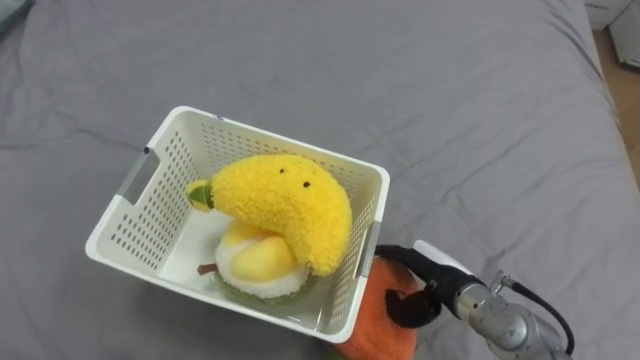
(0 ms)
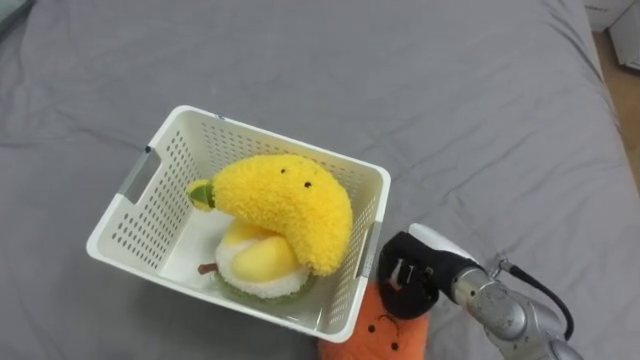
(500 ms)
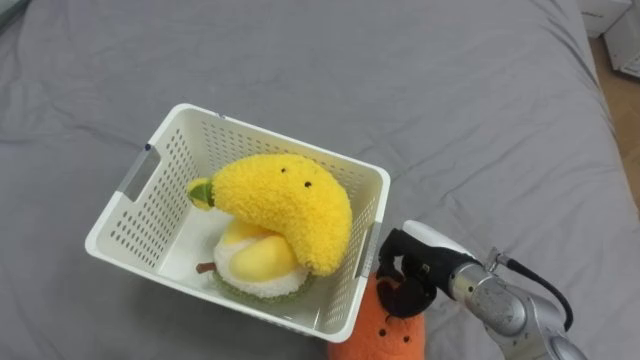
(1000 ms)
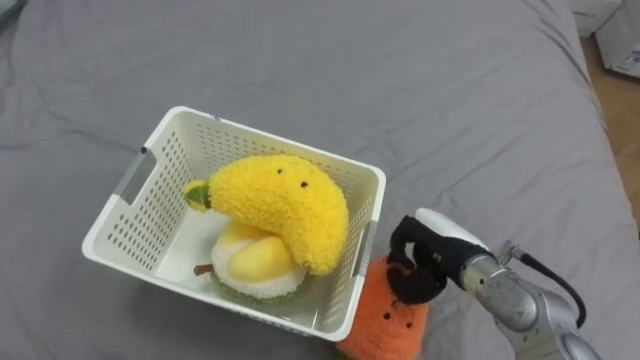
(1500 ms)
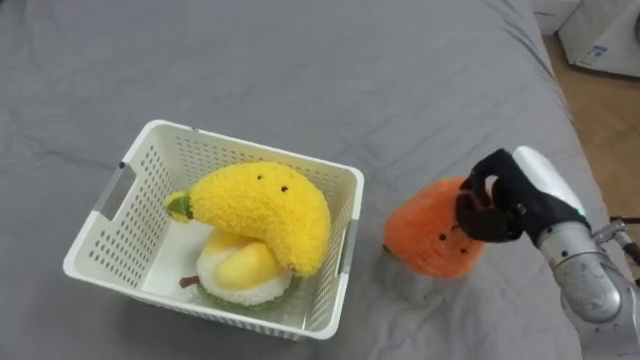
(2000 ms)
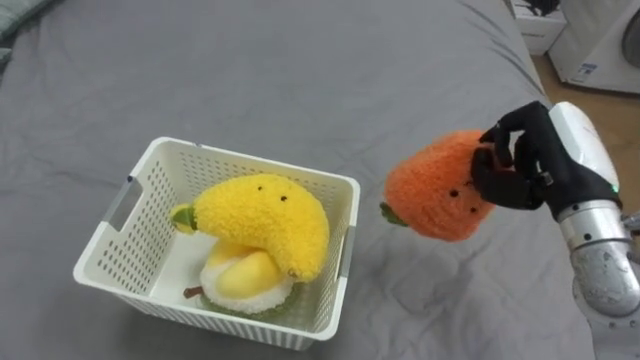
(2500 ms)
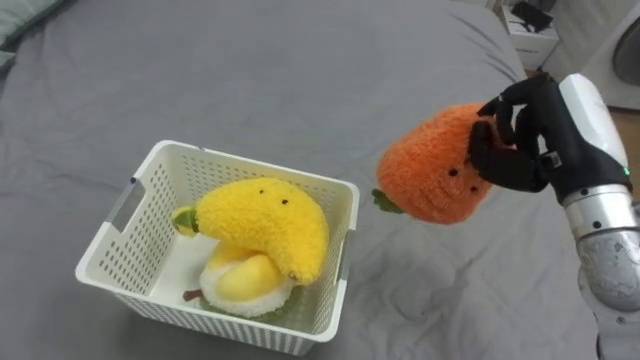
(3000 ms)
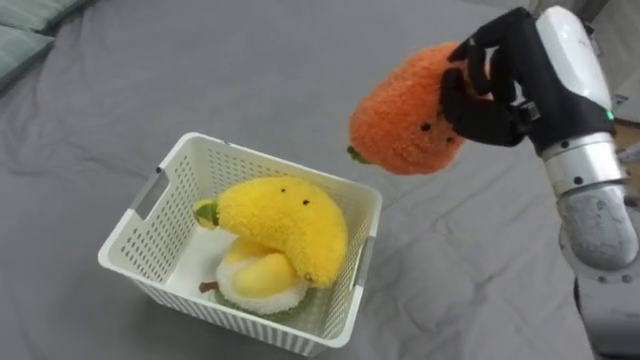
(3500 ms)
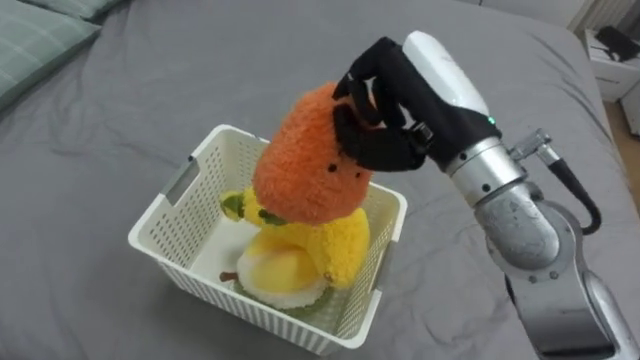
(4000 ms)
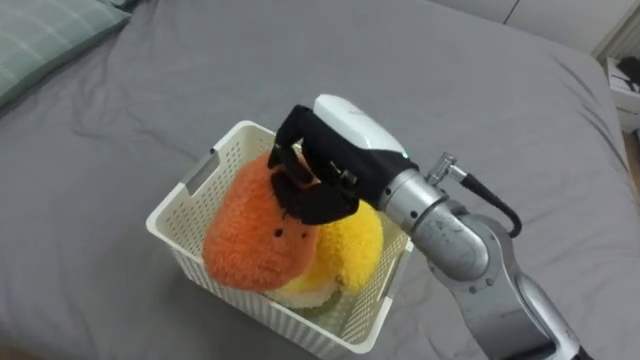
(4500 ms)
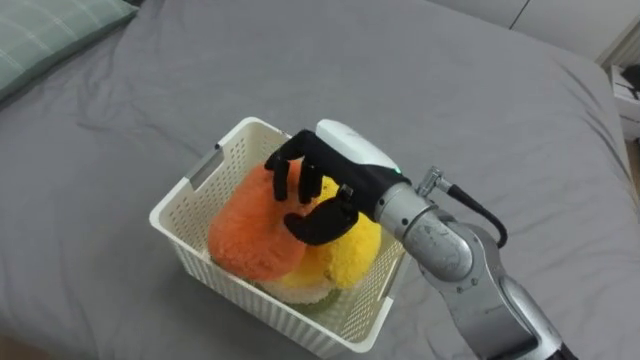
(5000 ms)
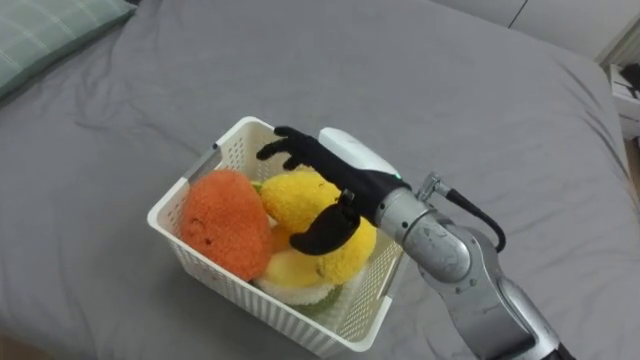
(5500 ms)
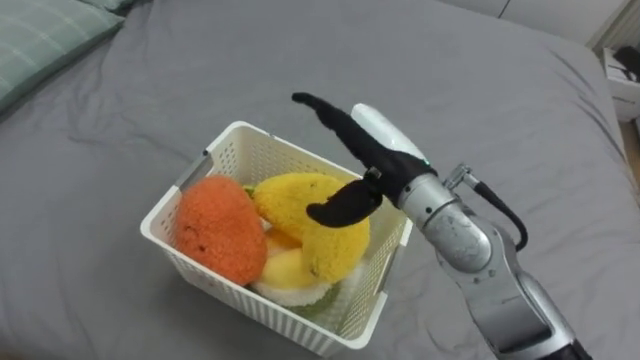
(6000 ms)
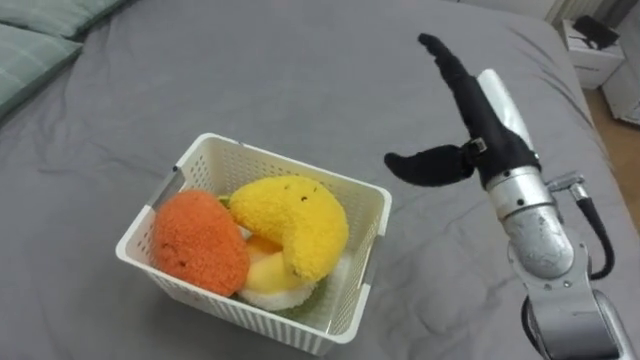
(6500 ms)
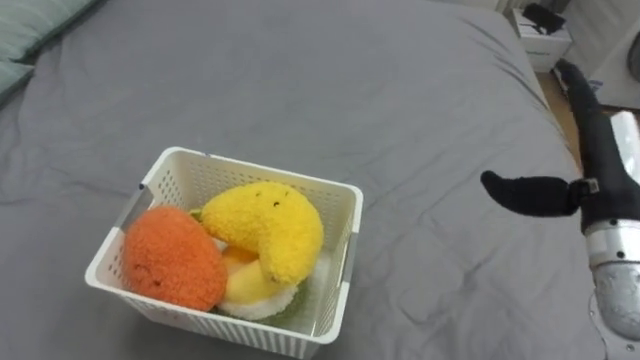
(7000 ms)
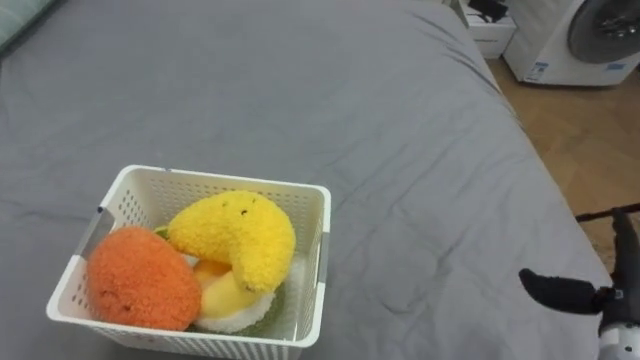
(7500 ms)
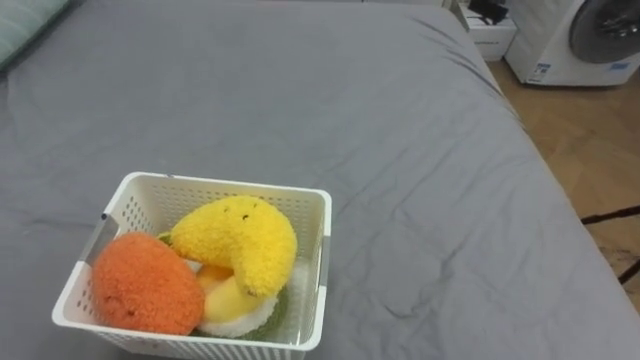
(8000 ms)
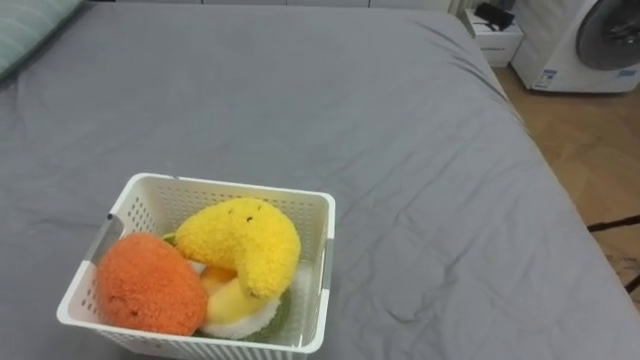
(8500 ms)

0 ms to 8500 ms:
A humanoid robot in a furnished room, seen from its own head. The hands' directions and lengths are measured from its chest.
Task of the whole recording: Put the toys on the bed into the basket on the left.
0 ms to 2000 ms: The right hand moves upward and to the right, some 15 cm, and closes its fingers.
2000 ms to 4000 ms: The right hand shifts about 20 cm to the left and upward.
4000 ms to 6500 ms: The right hand travels to the right and downward by about 10 cm, and opens.

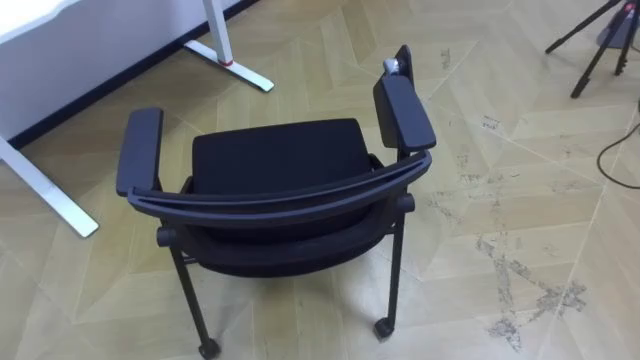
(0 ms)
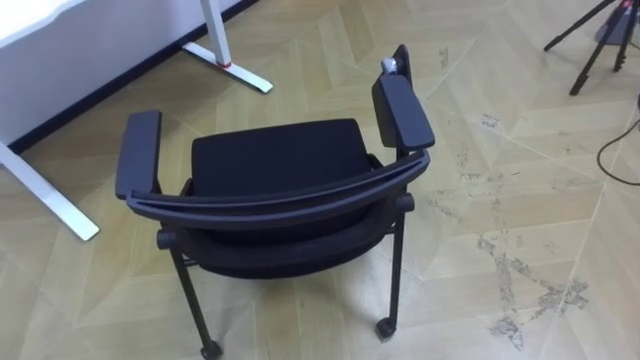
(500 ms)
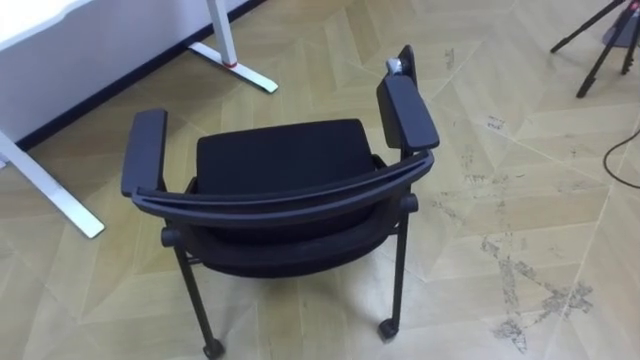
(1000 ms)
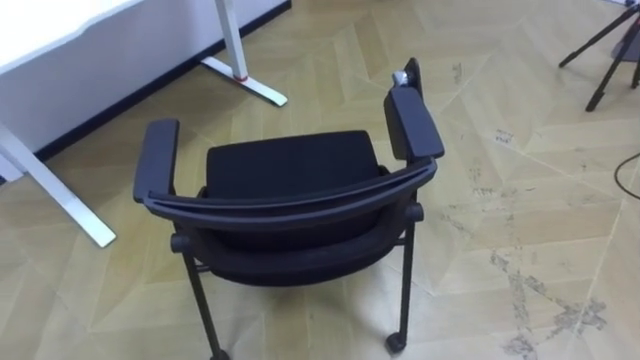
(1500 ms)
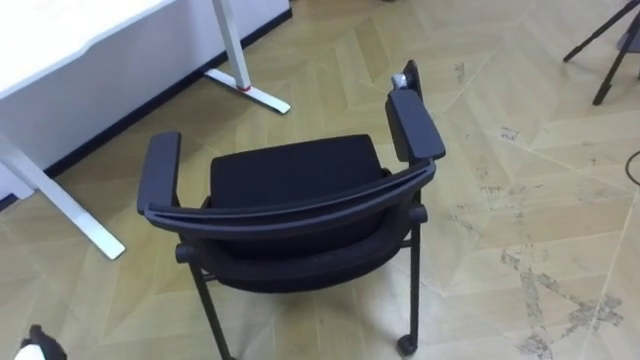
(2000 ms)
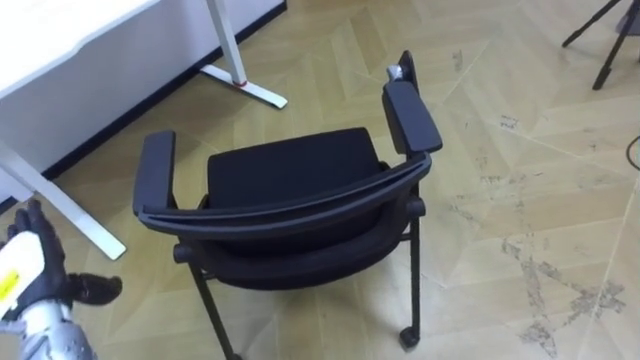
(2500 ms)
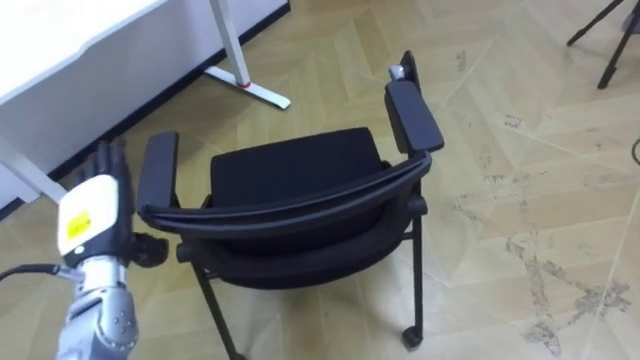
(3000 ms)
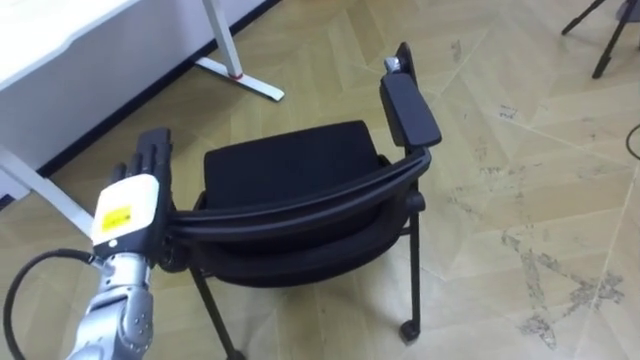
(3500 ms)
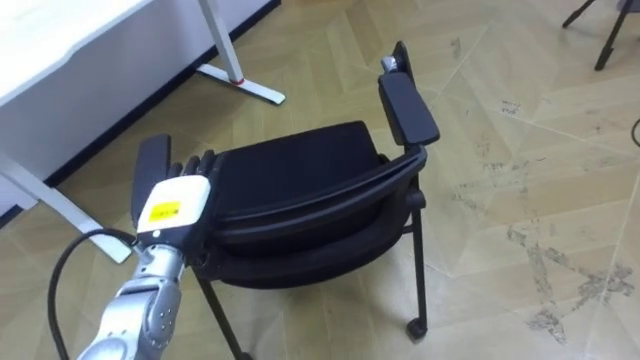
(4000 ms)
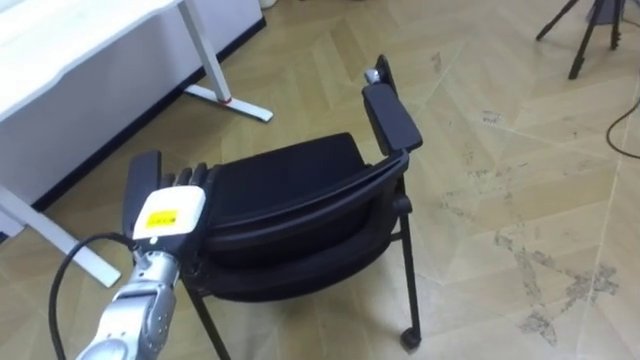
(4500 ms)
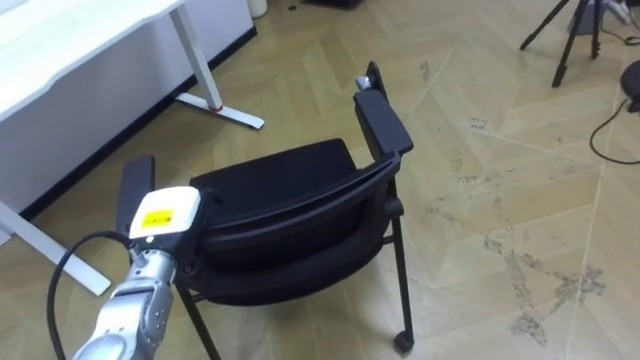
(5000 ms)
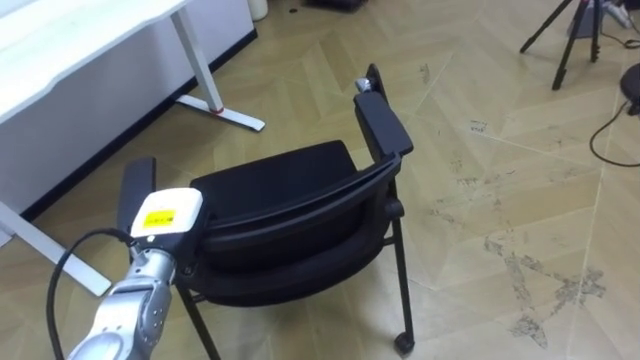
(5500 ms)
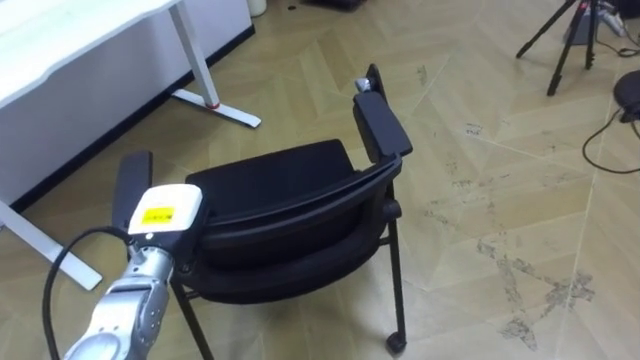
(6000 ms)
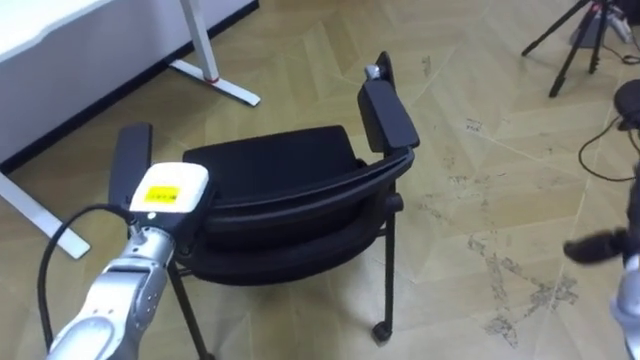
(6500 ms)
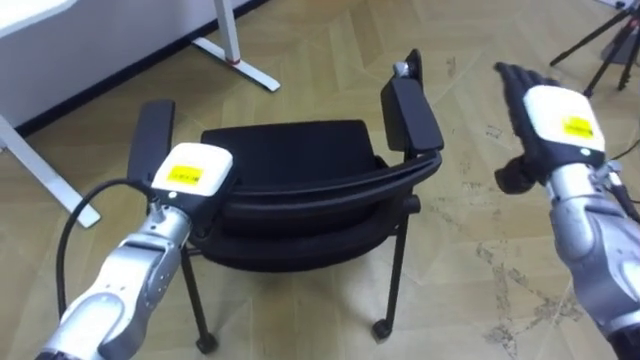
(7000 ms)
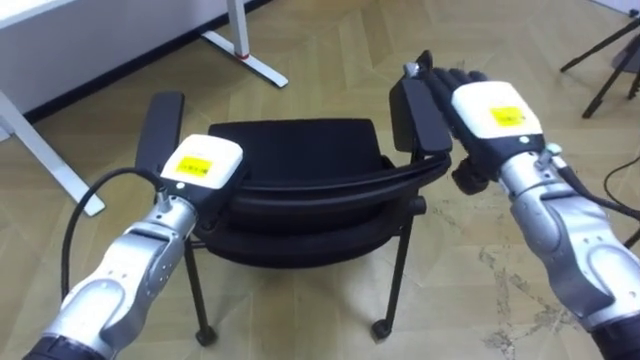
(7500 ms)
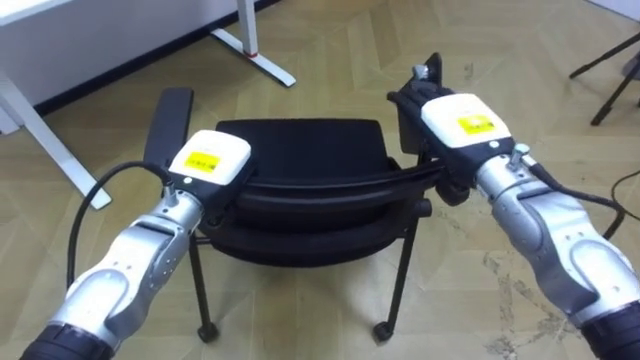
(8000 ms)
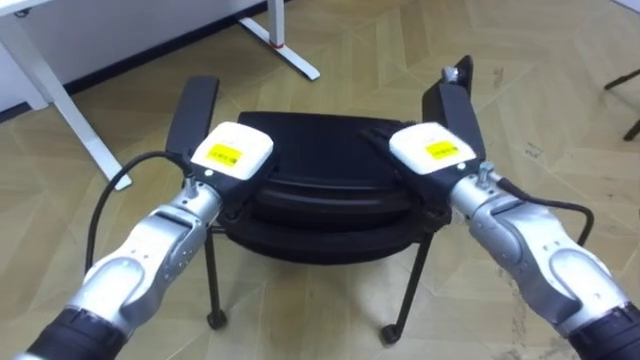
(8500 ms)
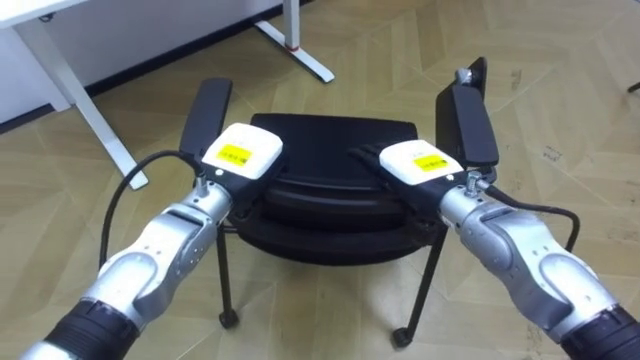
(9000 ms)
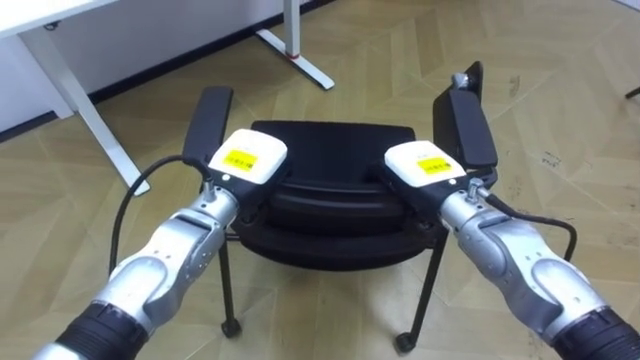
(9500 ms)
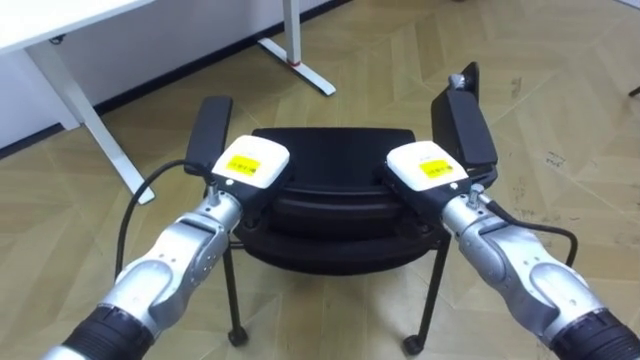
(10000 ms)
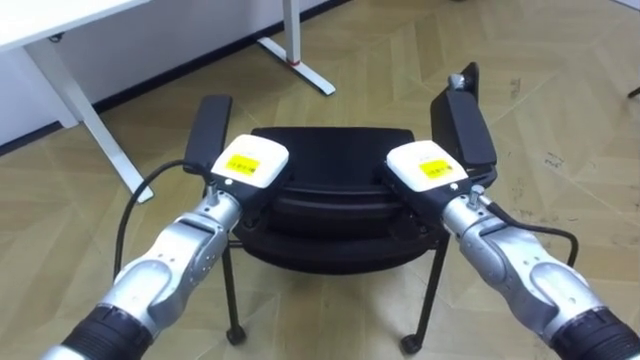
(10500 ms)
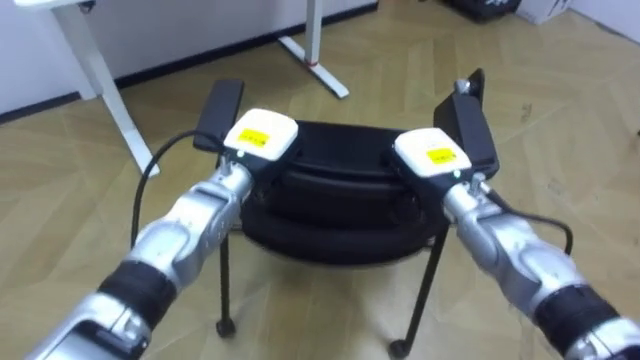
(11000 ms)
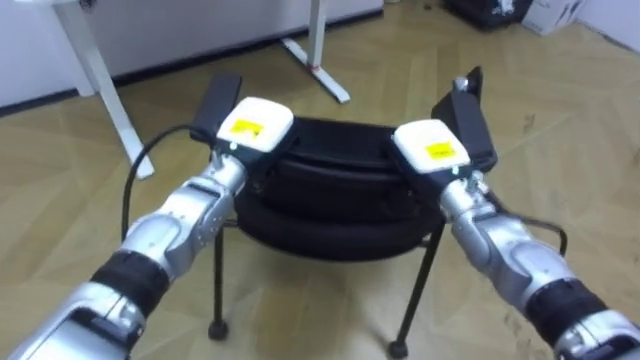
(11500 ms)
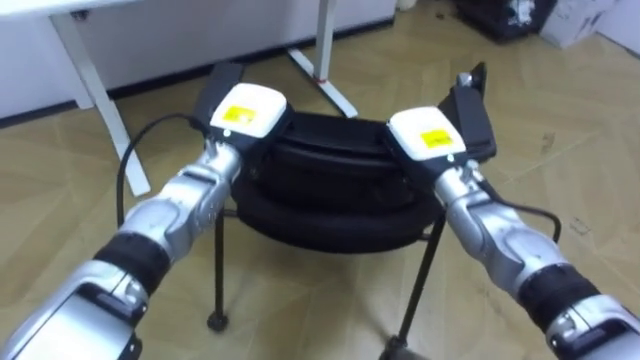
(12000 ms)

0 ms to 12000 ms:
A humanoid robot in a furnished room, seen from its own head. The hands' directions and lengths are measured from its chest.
Task of the whole recording: Push the chair under the table.
4000 ms to 6000 ms: The left hand closes.
6000 ms to 8000 ms: The left hand is displaced upward and to the right by some 10 cm.
8000 ms to 10000 ms: The right hand moves downward, about 5 cm, and closes its fingers. Meanwhile the left hand moves to the right, some 5 cm.
10000 ms to 12000 ms: The left hand is displaced forward by approximately 5 cm.
